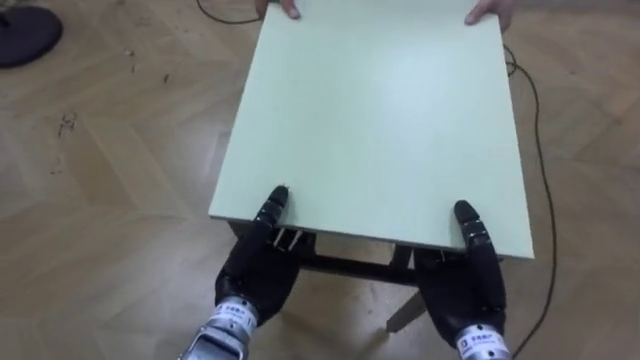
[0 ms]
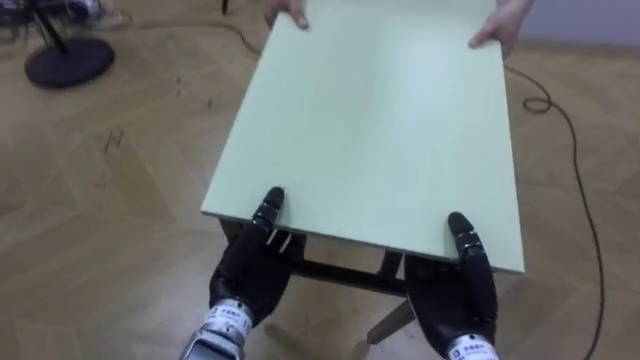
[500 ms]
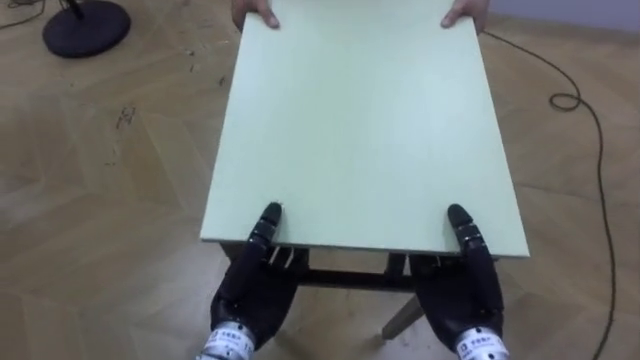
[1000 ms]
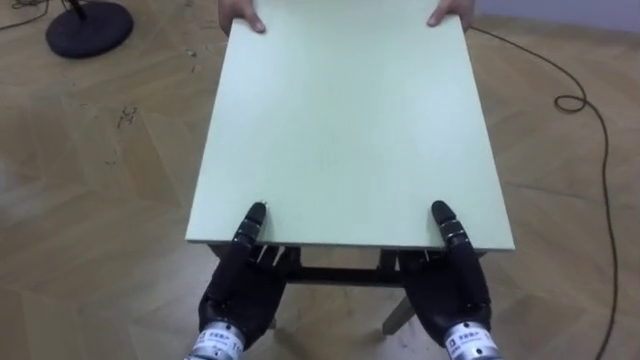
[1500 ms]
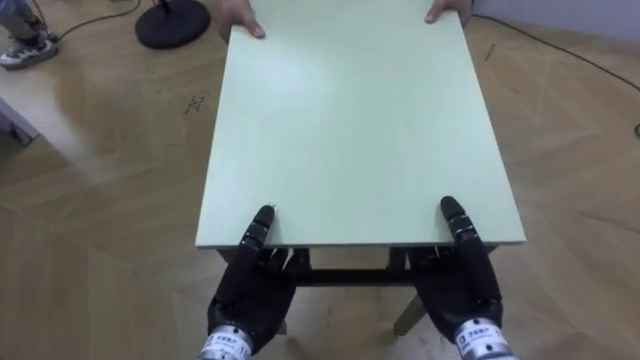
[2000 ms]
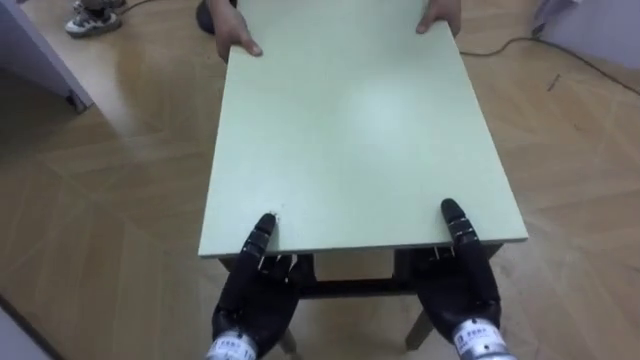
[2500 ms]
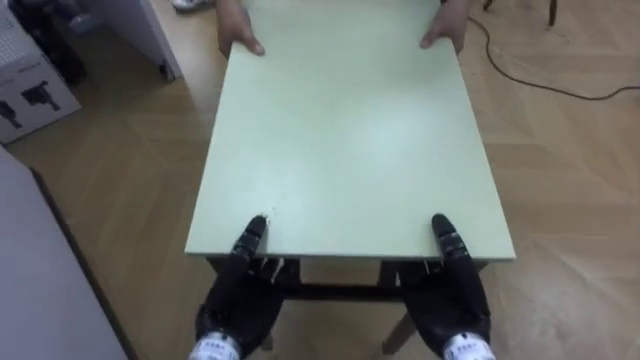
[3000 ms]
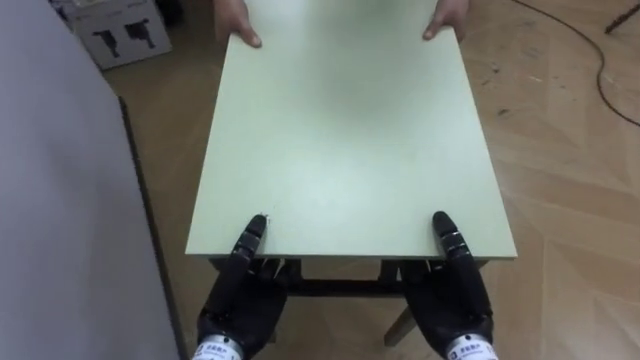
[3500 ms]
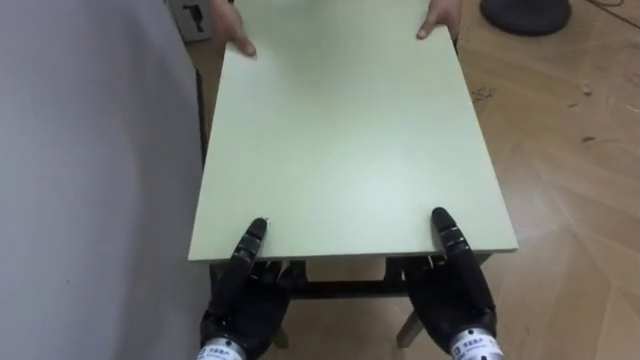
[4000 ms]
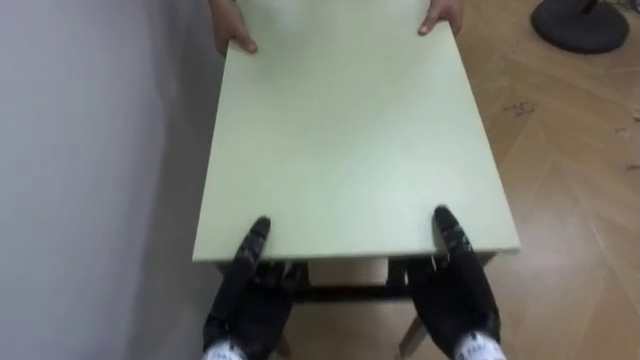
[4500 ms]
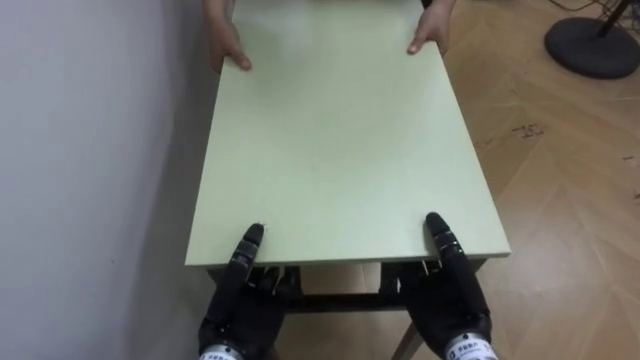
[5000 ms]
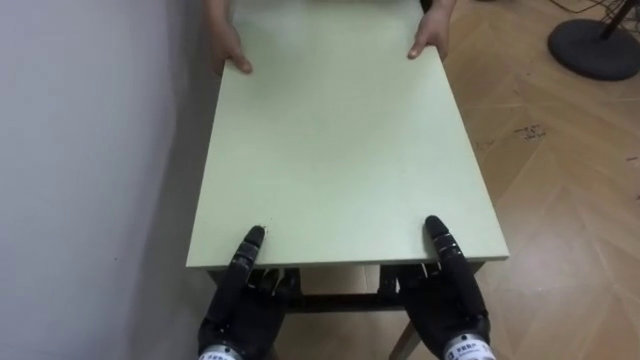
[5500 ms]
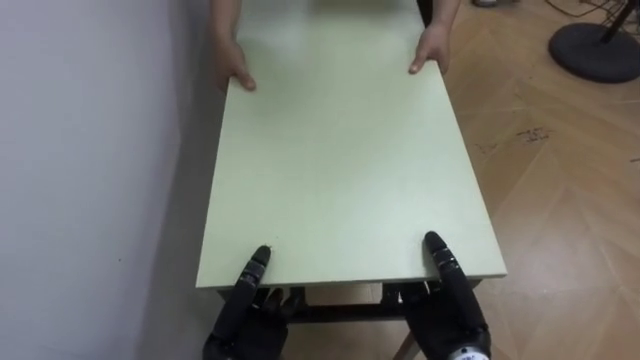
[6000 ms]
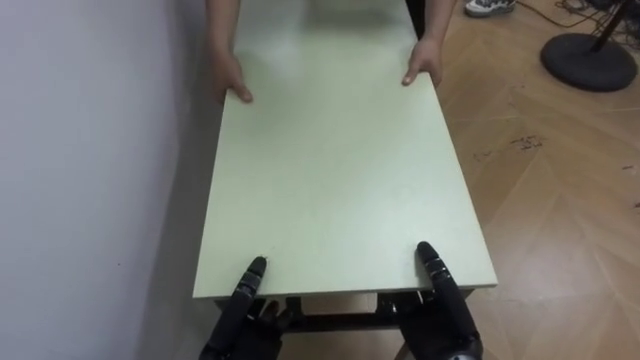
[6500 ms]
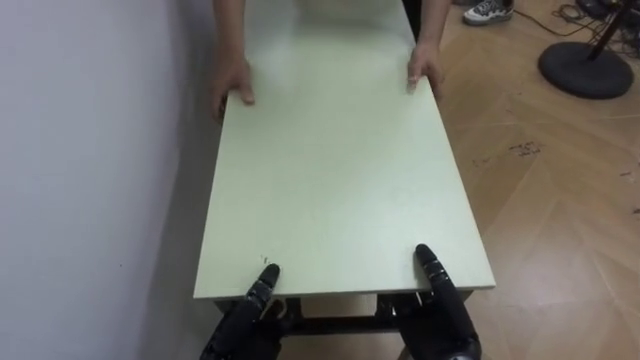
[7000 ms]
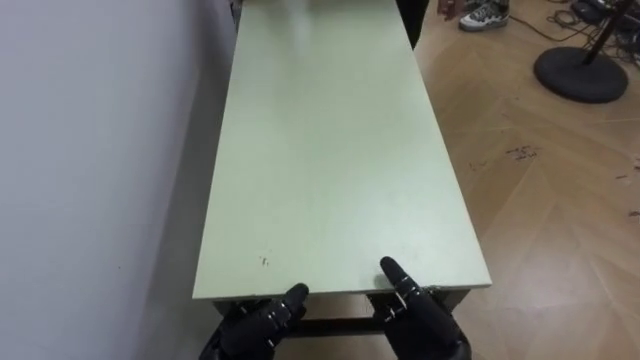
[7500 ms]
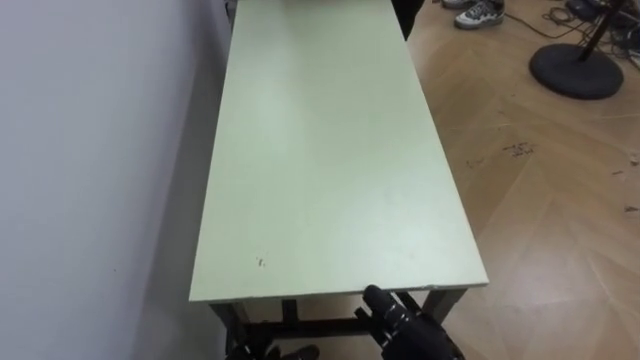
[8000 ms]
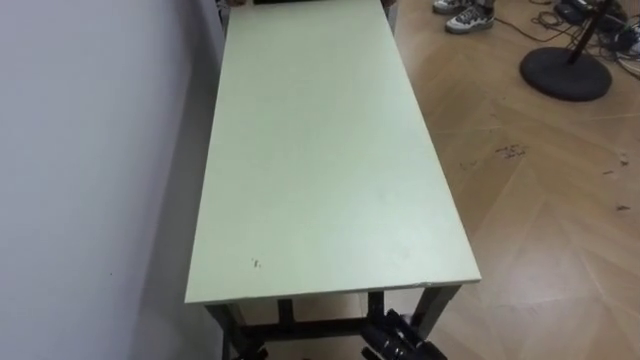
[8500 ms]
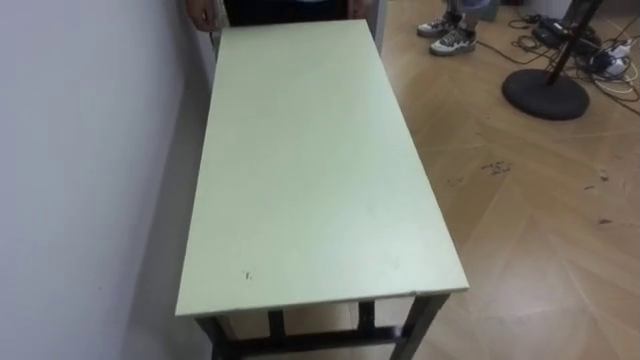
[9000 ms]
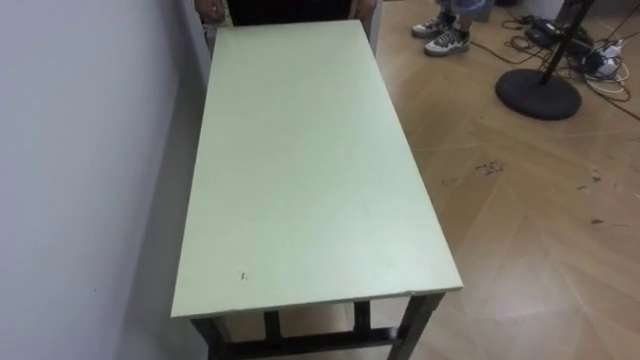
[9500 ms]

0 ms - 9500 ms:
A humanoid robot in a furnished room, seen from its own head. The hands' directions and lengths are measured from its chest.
Task of the whole recording: Move the table to the back left with someone.
2000 ms - 4000 ms: The robot rotates some 55 degrees to its left.
5500 ms - 7500 ms: The right hand shifts by some 5 cm, and opens its fingers, while the left hand is displaced downward by approximately 5 cm, and opens up.
